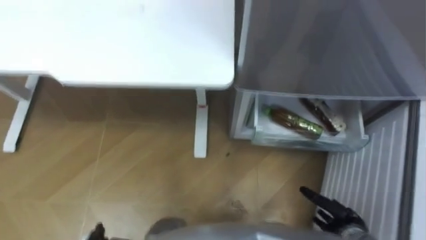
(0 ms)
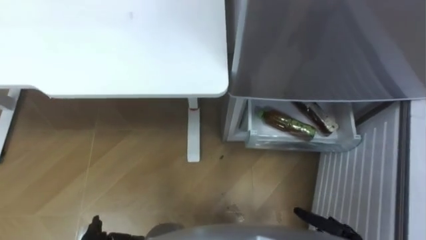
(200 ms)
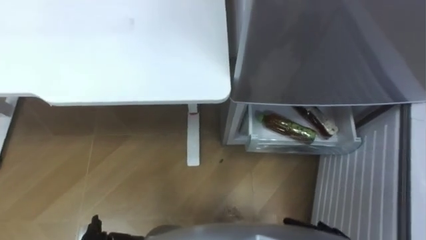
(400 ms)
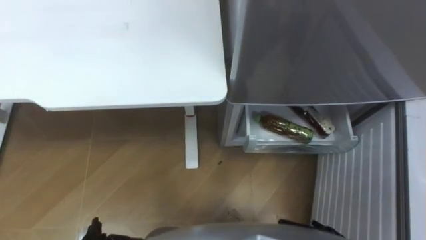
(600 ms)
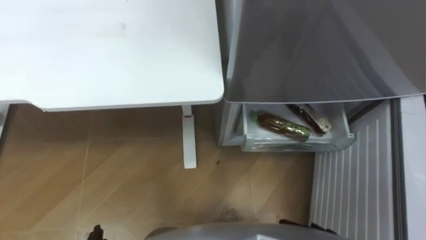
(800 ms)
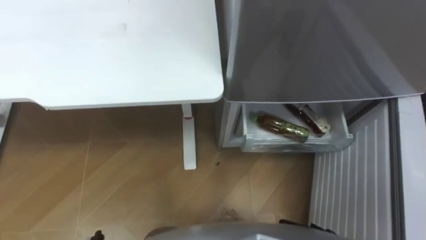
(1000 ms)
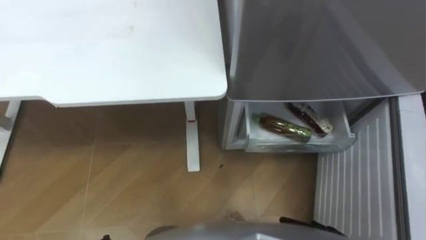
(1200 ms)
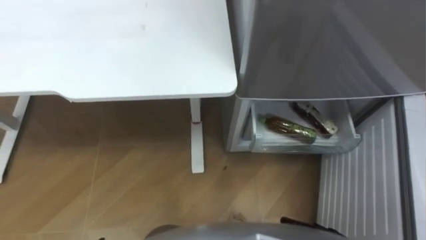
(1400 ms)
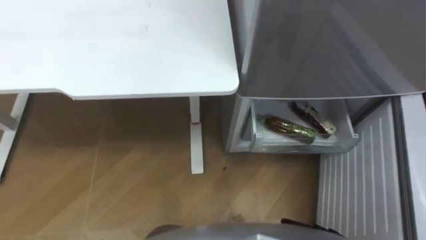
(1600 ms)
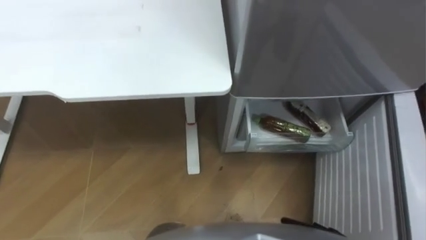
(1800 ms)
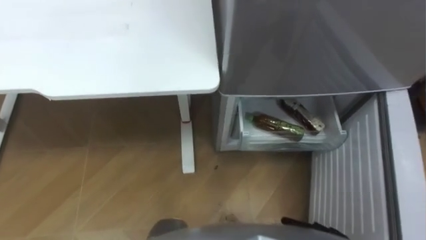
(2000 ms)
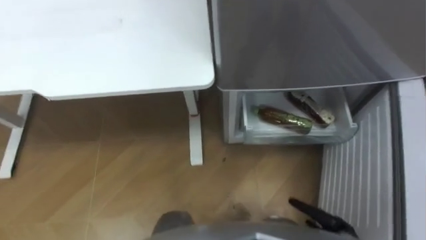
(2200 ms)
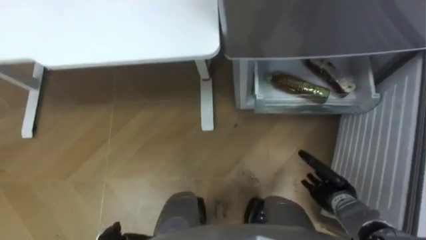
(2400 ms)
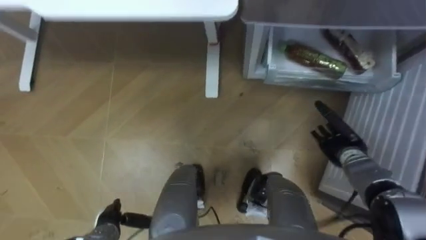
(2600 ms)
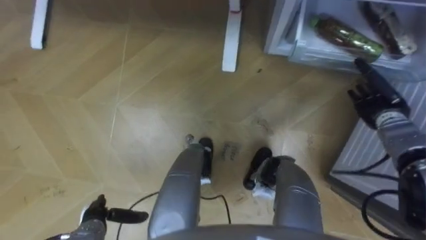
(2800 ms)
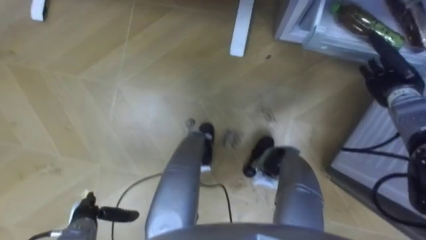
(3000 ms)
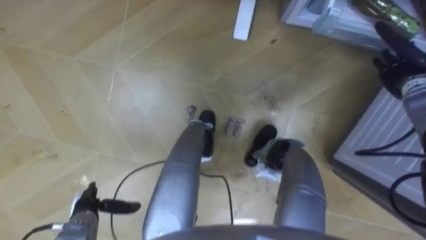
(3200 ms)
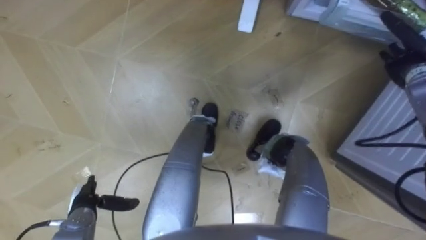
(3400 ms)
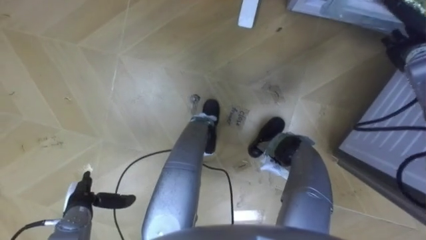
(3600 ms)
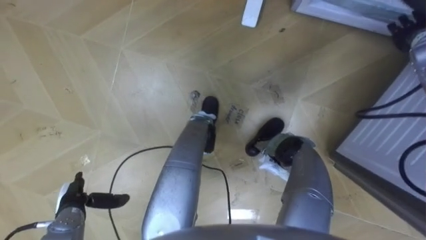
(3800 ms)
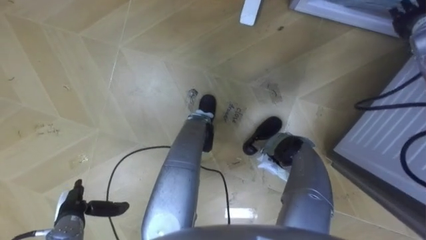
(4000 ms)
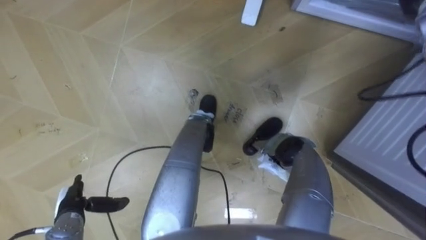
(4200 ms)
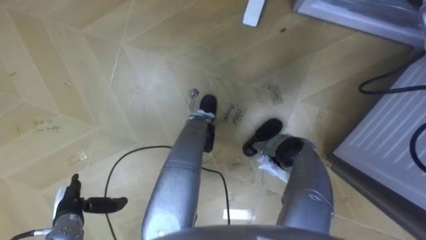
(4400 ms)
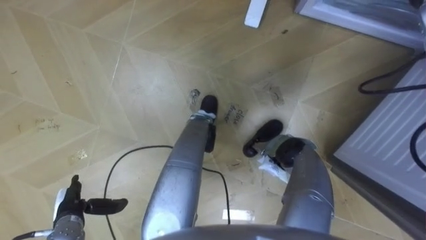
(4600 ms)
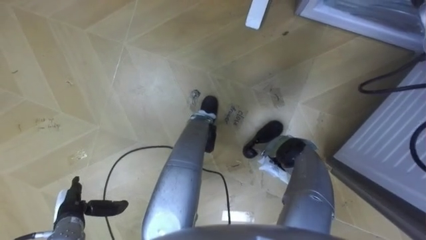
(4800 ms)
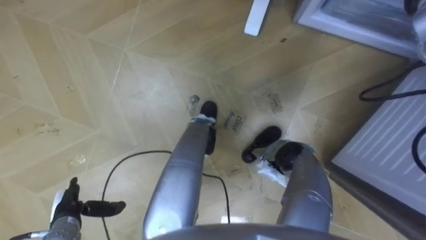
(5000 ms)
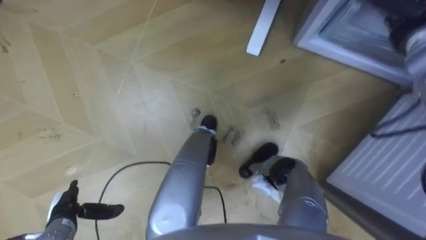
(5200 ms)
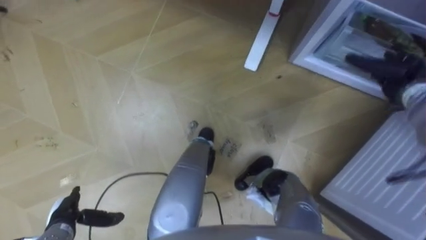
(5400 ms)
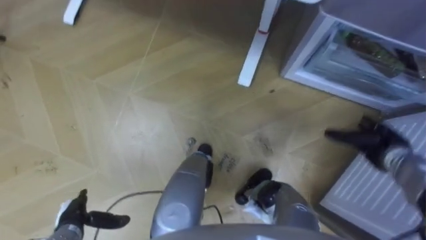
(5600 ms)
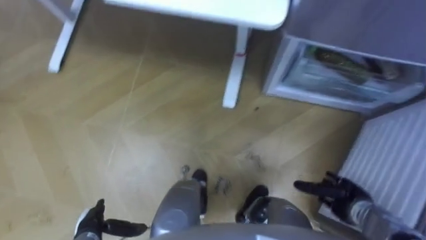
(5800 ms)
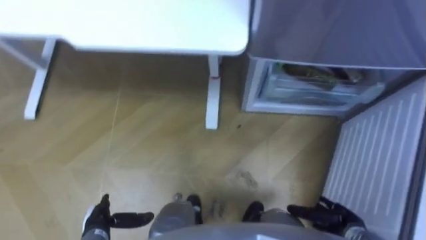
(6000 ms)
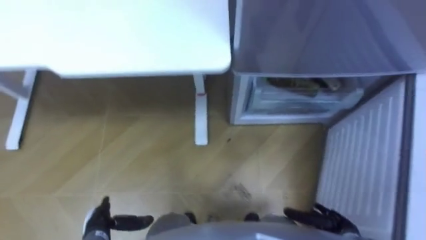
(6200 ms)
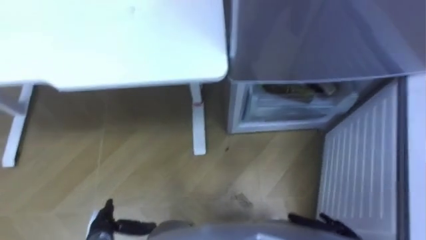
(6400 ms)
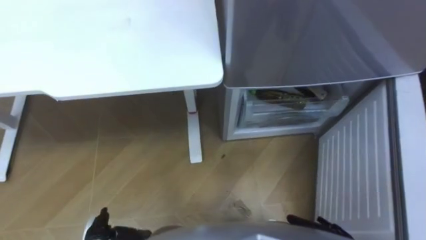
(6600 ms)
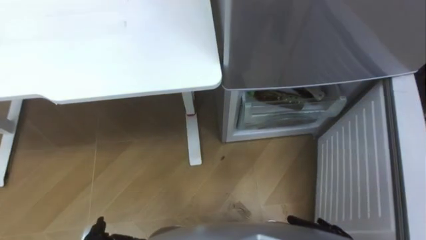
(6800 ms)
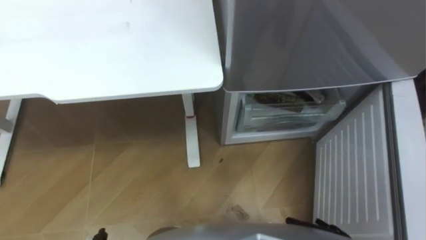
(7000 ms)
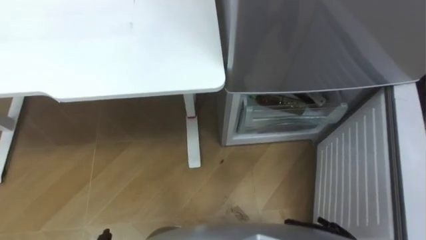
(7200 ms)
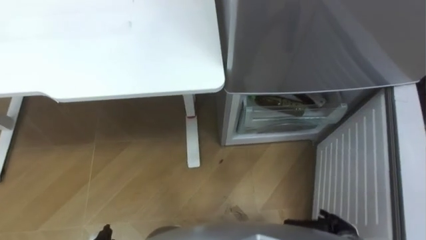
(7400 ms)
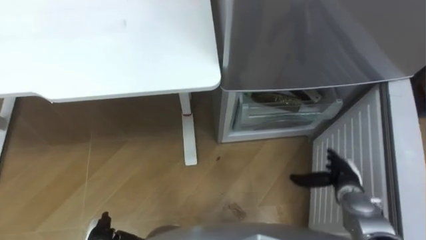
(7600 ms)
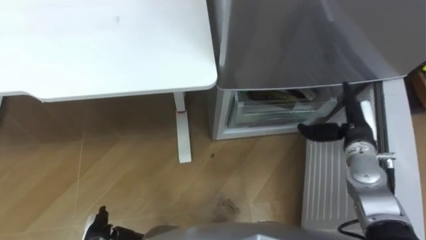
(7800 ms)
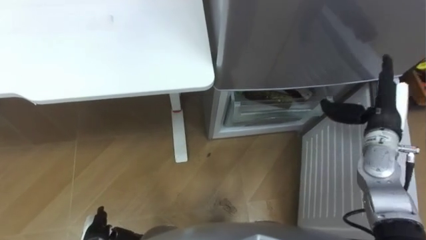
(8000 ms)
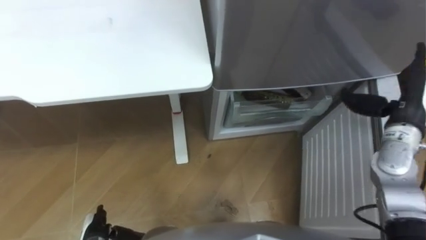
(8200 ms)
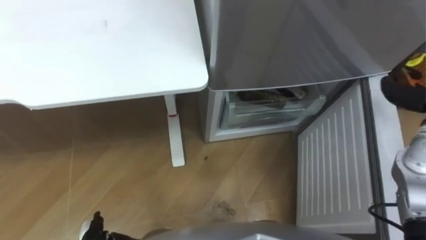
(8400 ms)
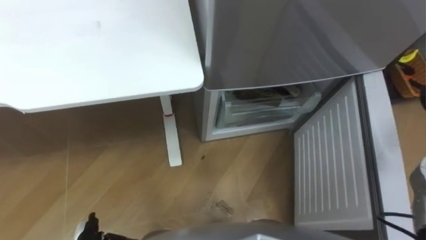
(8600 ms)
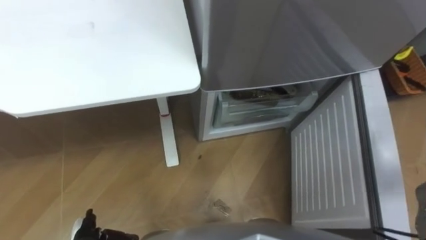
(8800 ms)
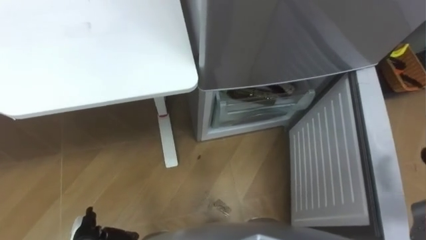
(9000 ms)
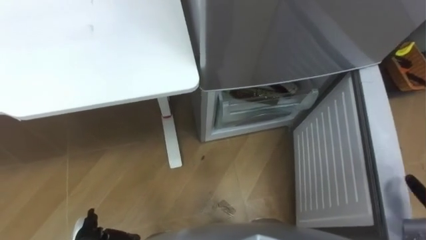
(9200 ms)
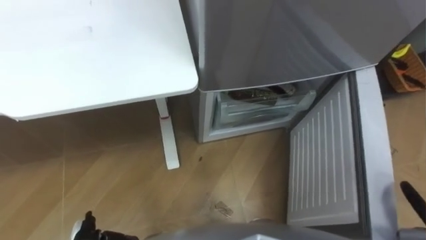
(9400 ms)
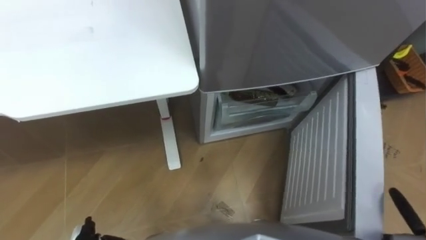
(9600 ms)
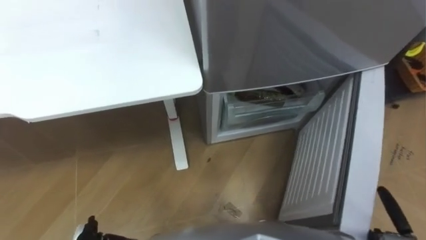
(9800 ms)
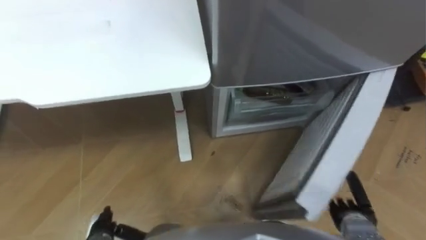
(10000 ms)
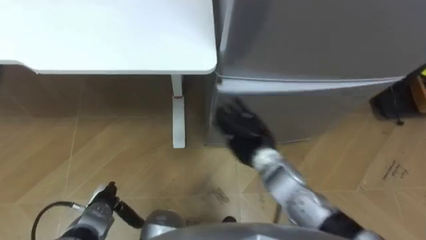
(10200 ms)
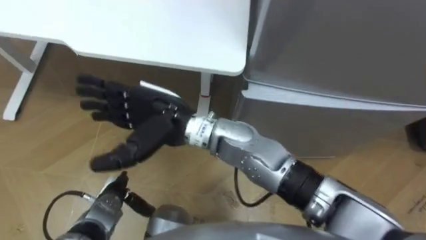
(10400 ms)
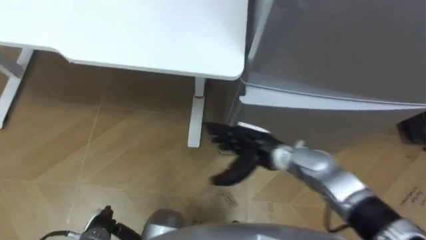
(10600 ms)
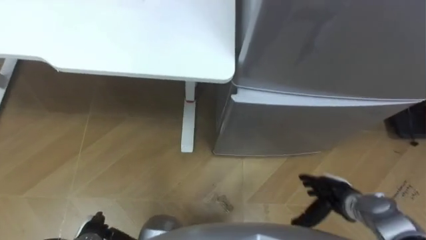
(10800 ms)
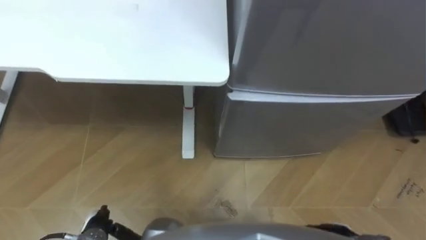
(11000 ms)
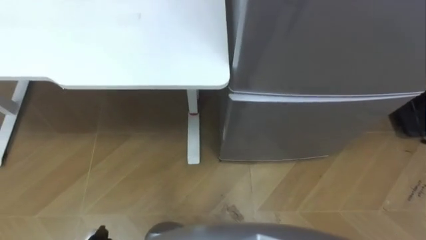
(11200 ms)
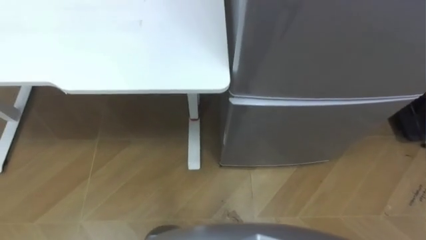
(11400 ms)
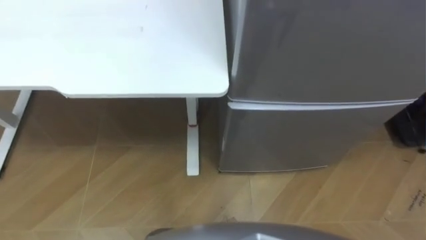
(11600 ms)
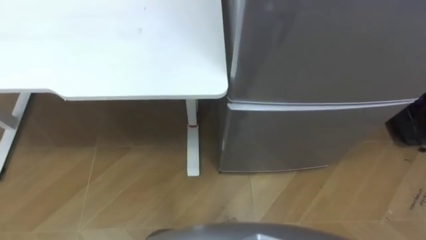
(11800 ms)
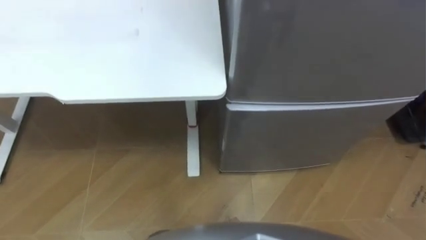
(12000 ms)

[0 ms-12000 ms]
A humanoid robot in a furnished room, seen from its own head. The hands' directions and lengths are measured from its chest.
Task of the whole recording: Place the drink on the table on the bottom shelf of the refrigerator, then close the drawer and the refrigerator door.
4400 ms to 6000 ms: The left hand is displaced to the right by roughly 5 cm.

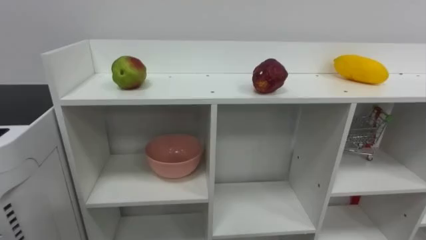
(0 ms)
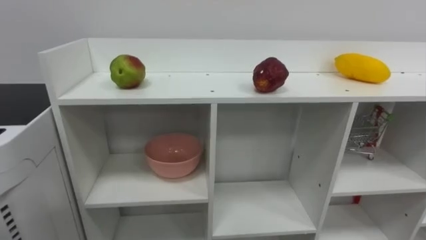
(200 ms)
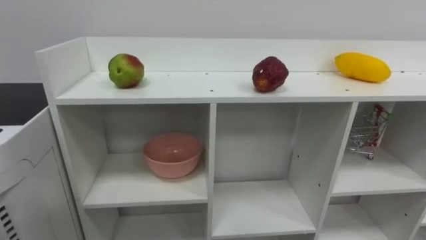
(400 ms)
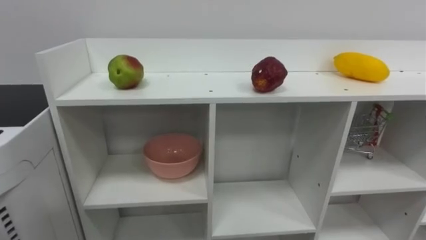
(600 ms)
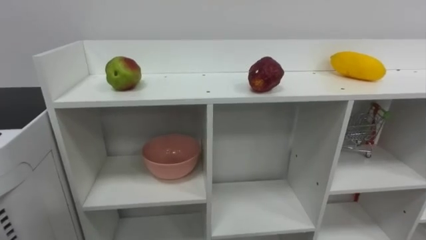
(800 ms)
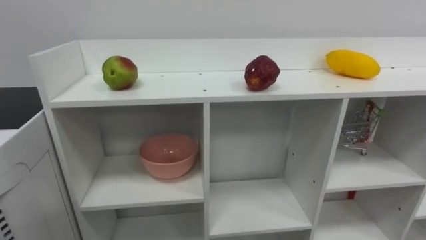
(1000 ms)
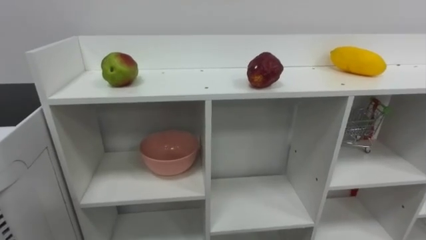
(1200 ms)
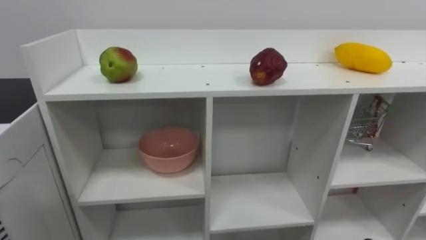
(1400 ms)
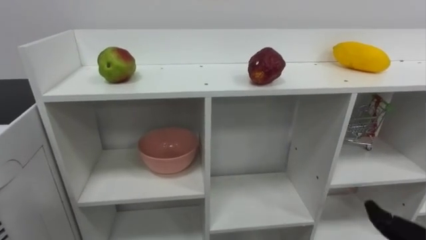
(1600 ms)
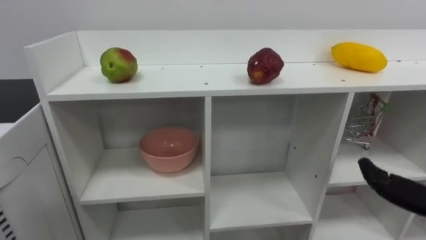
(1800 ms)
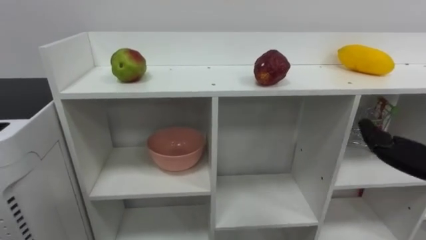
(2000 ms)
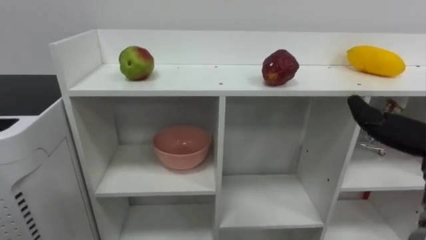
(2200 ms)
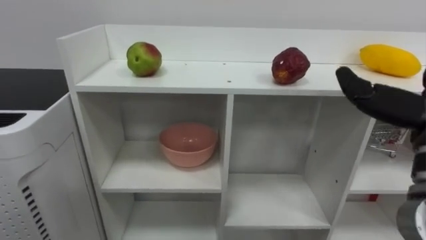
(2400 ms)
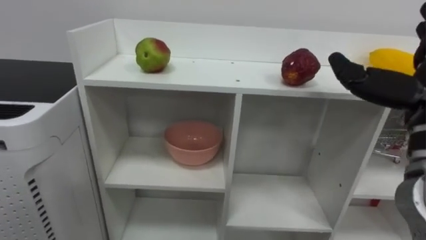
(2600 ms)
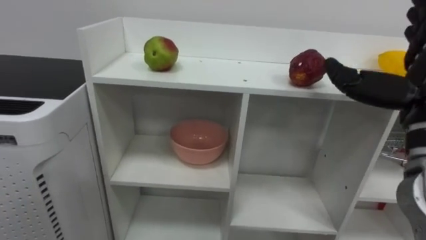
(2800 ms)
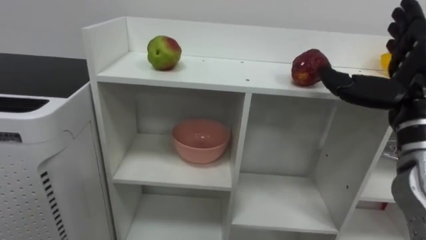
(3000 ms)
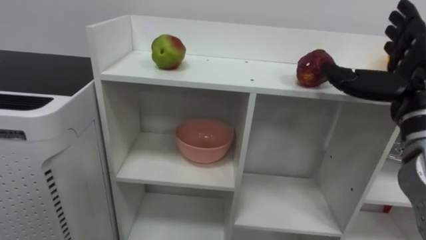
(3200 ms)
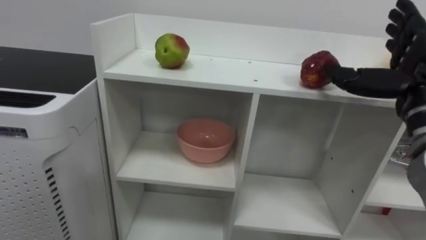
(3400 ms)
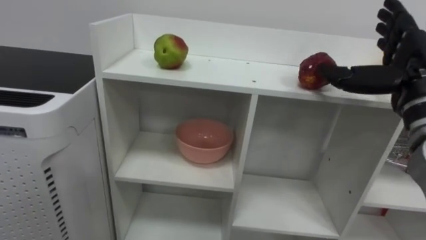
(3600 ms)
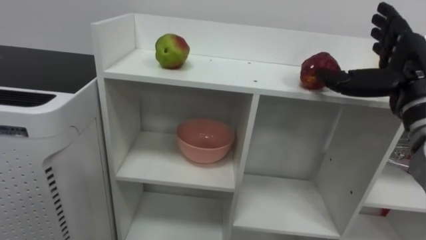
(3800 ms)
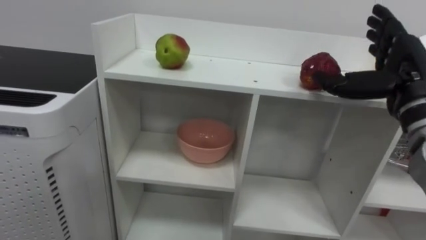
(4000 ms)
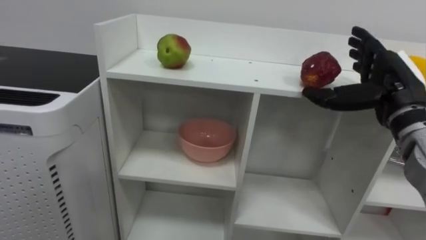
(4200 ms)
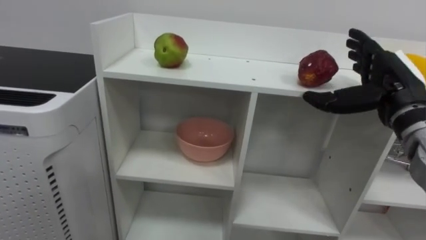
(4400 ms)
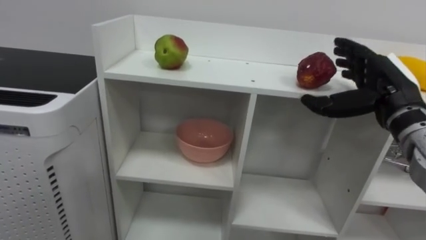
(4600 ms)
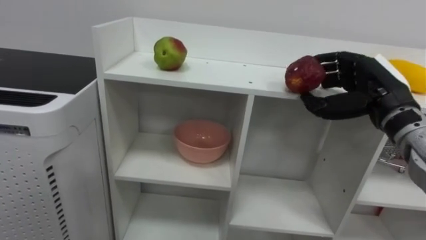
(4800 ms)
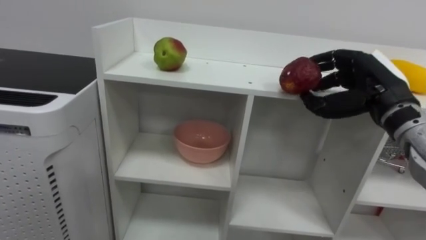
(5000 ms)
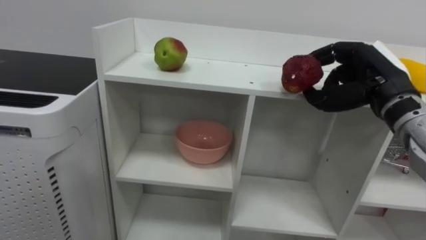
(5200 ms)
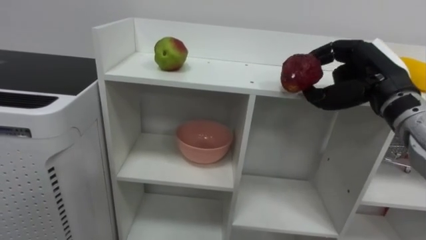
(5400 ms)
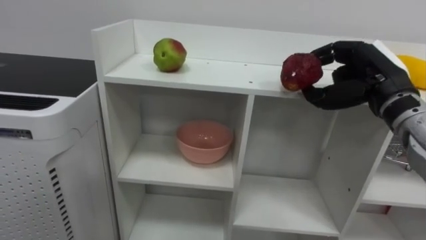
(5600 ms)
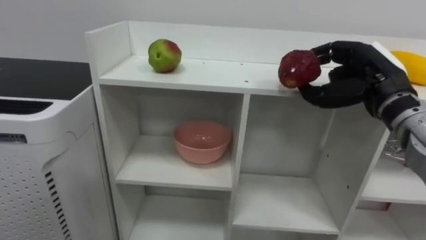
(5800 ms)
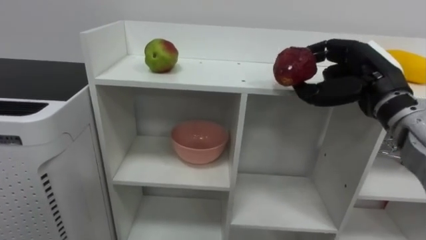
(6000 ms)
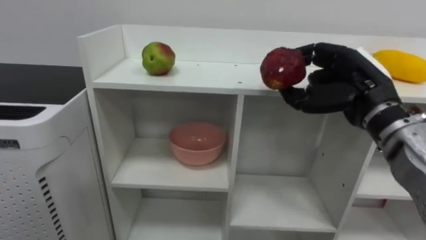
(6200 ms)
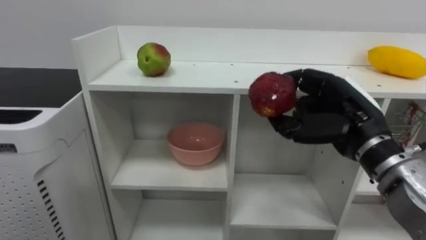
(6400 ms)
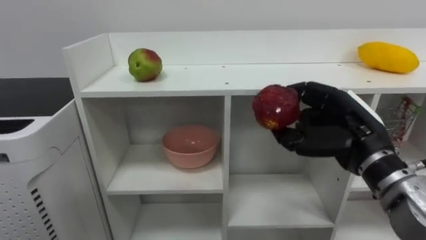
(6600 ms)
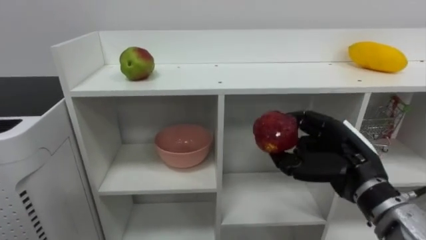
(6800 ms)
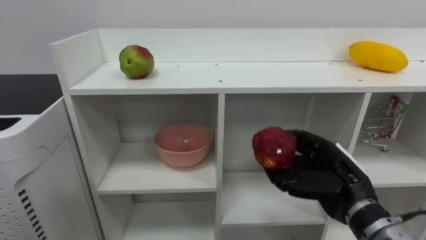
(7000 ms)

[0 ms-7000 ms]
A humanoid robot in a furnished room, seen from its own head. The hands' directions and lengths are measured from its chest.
Task of the whole recording: Put the apple in the cell in the second column from the left and the second row from the top.
2800 ms to 4200 ms: The right hand travels forward by approximately 5 cm.
4200 ms to 5600 ms: The right hand closes.
5600 ms to 7000 ms: The right hand moves downward and backward, roughly 15 cm.
